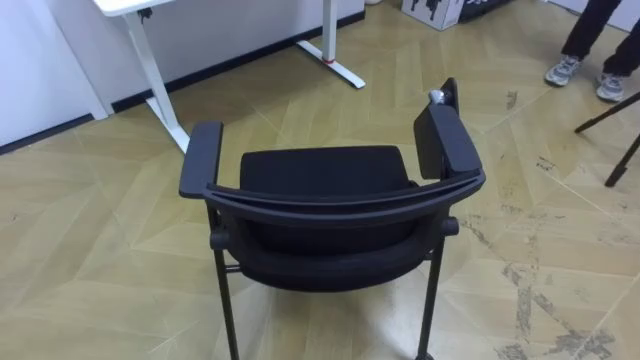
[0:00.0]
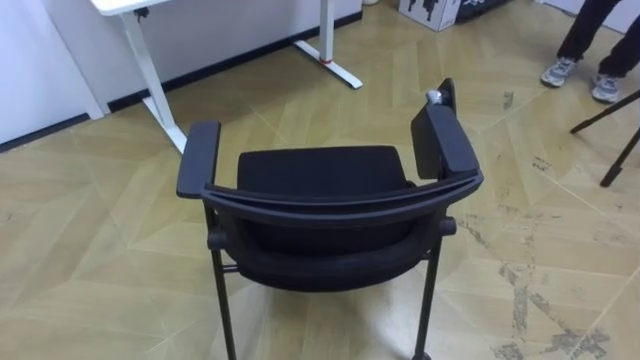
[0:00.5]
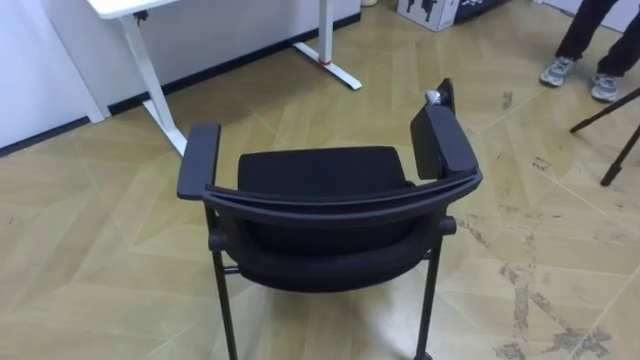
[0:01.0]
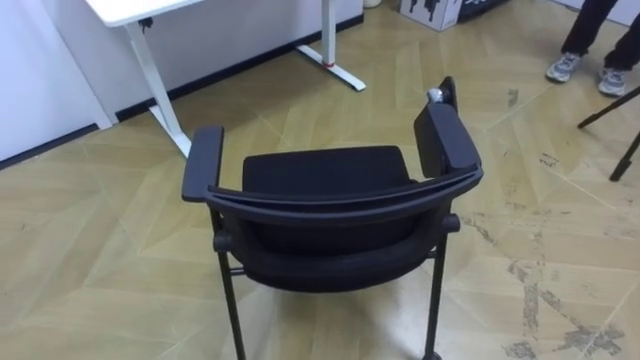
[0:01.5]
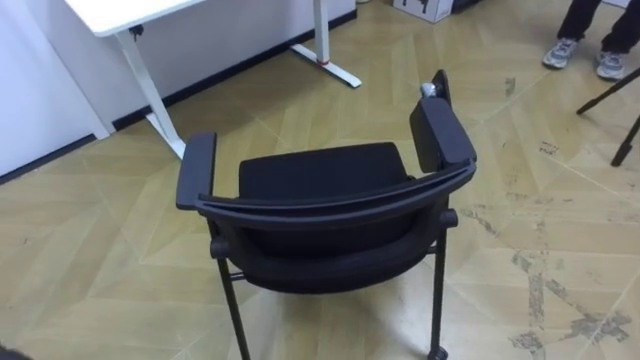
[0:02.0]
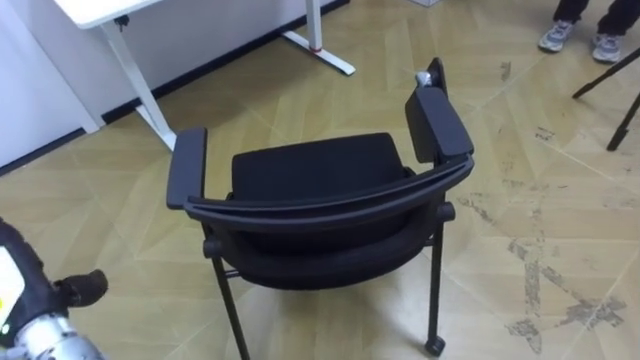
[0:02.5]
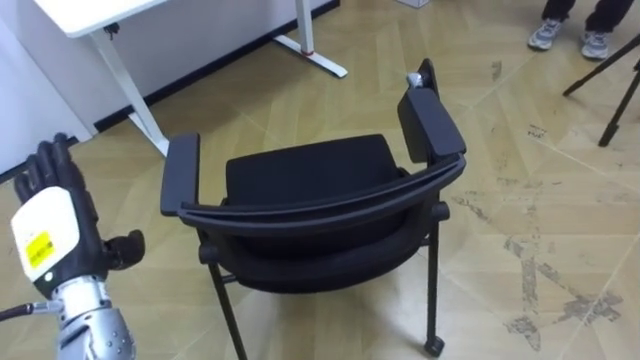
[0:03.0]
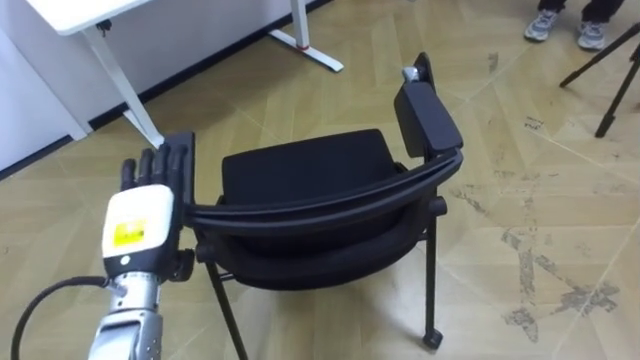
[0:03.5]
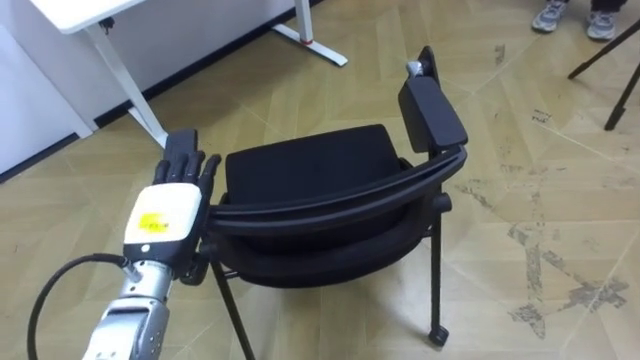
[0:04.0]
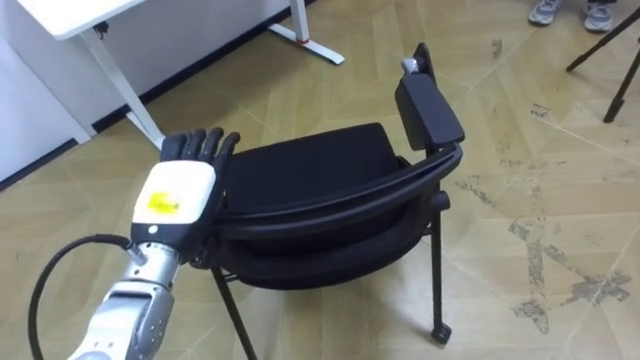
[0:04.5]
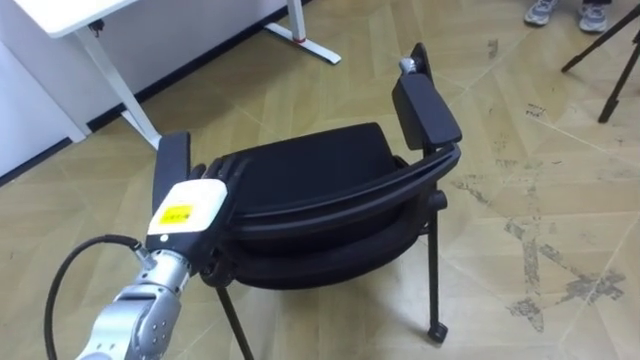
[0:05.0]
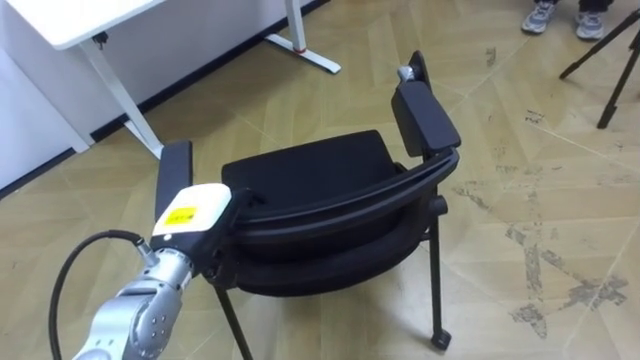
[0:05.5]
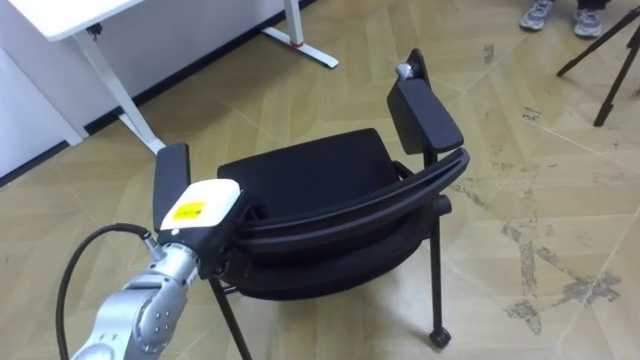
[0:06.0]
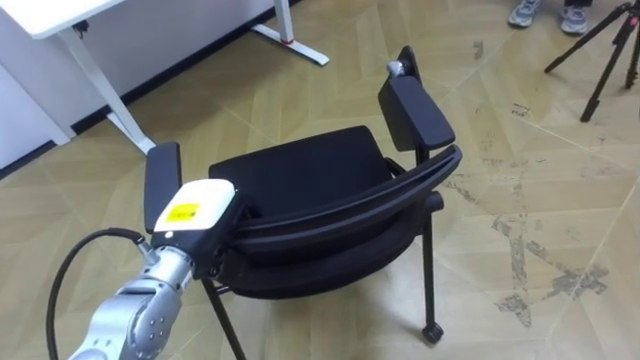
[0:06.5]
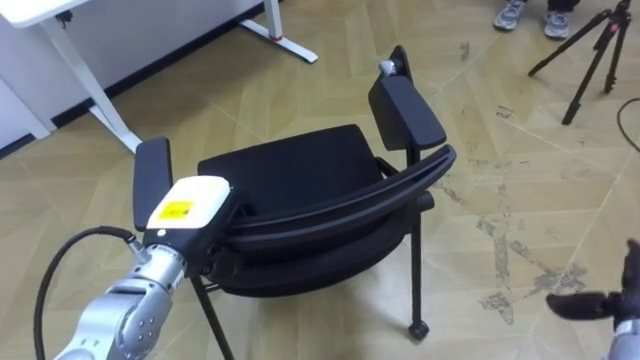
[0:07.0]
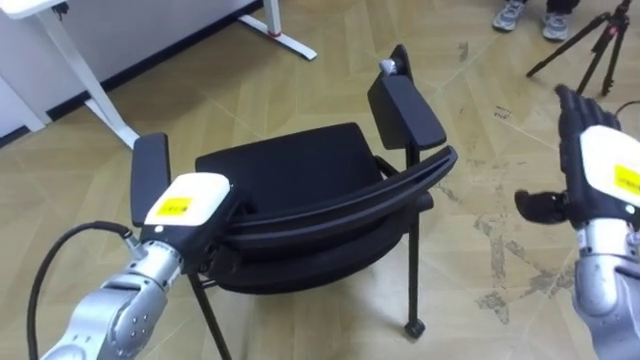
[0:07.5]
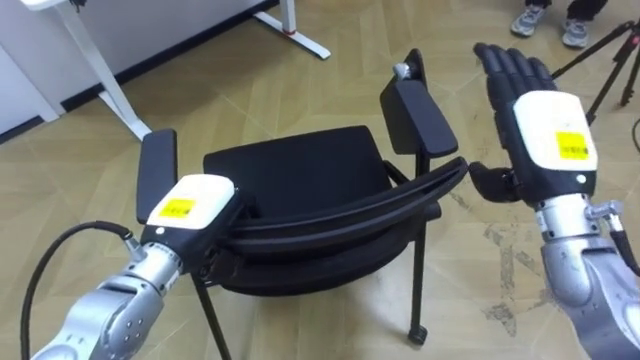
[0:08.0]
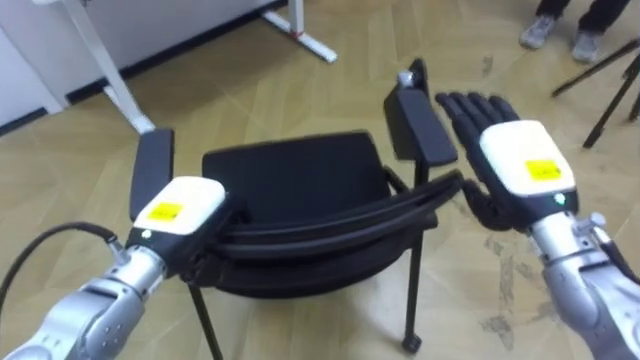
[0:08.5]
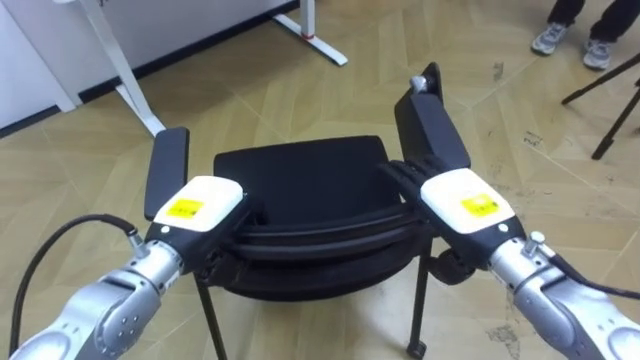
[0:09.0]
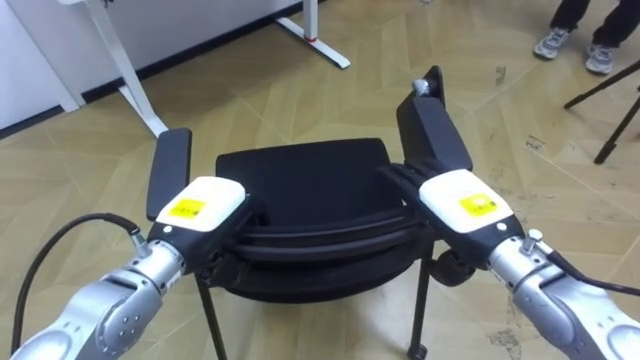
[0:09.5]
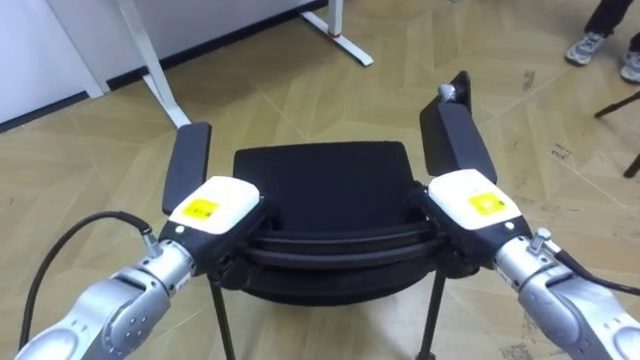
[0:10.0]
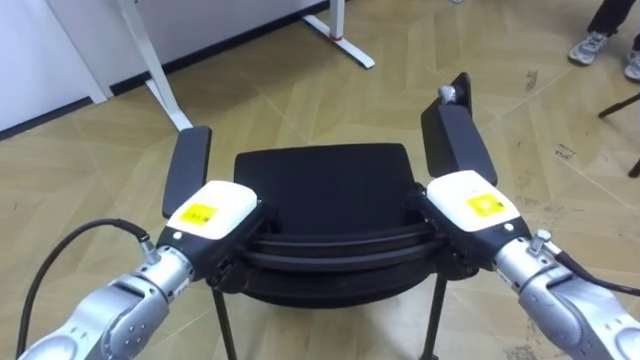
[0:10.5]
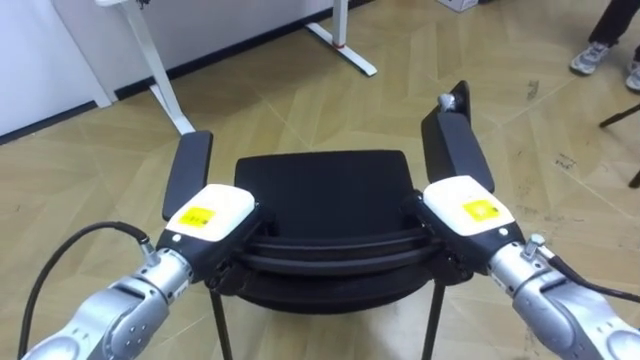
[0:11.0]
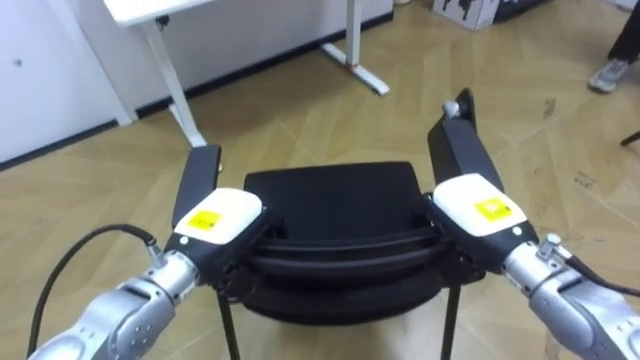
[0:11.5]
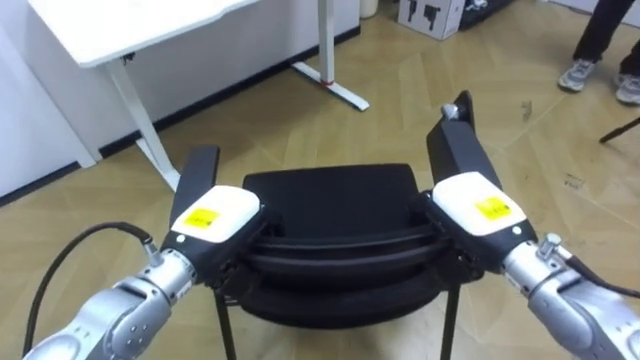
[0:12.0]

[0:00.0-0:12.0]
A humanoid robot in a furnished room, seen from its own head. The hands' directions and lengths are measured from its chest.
Task of the whole recording: Push the chair under the table.
0:04.0 to 0:06.0: The left hand closes.
0:08.0 to 0:10.0: The right hand is displaced downward and to the left by roughly 10 cm, and closes its fingers.

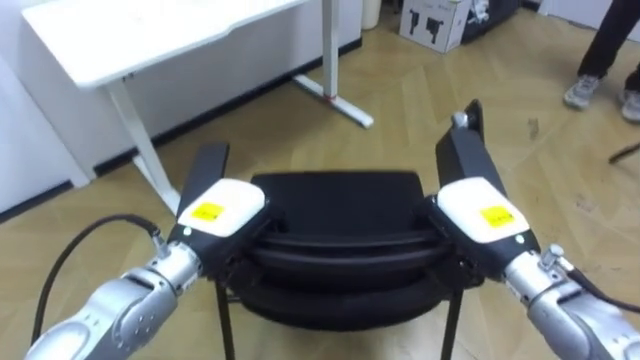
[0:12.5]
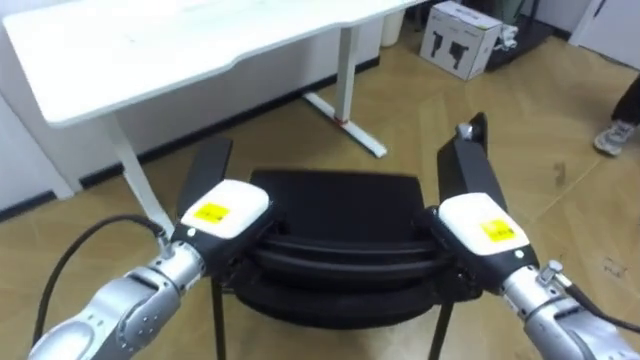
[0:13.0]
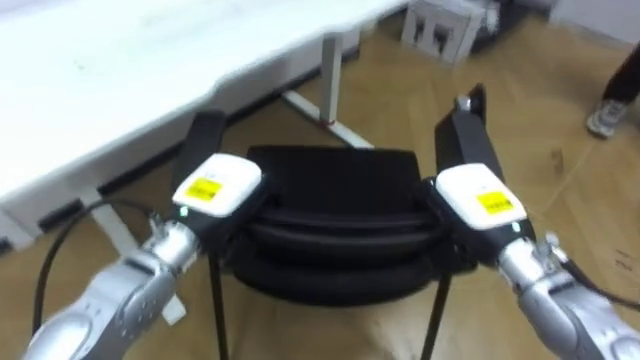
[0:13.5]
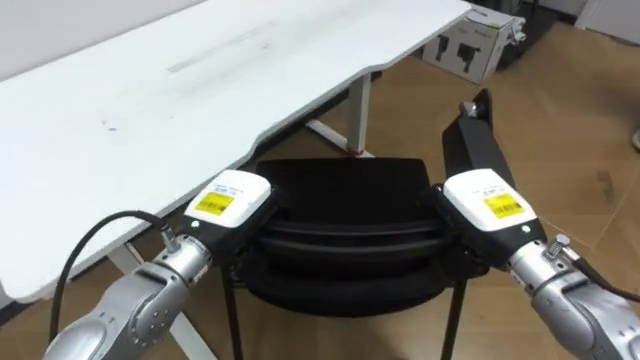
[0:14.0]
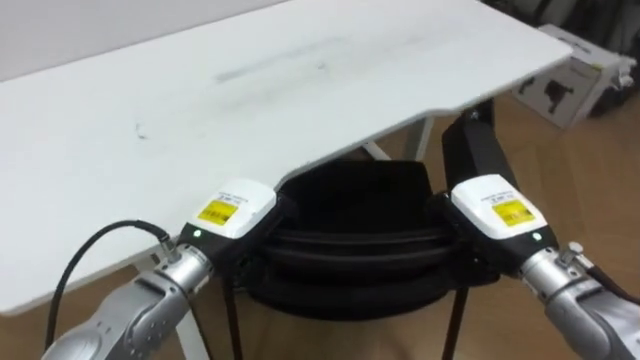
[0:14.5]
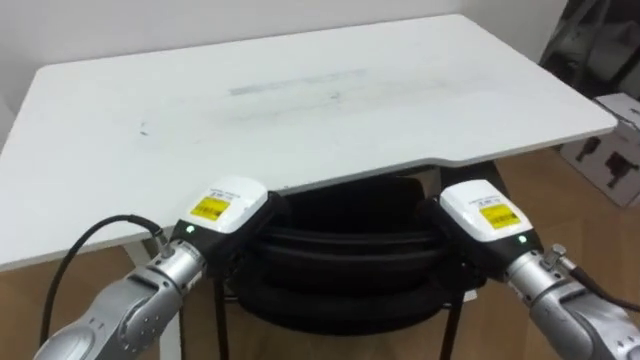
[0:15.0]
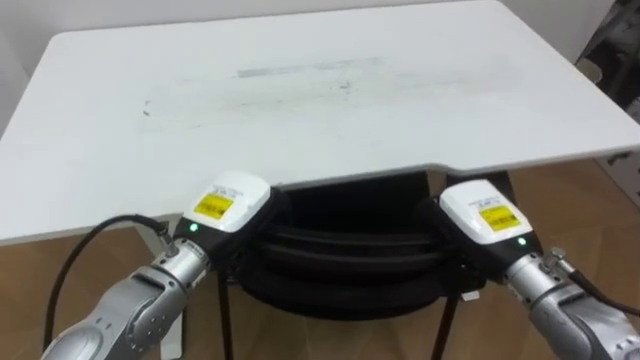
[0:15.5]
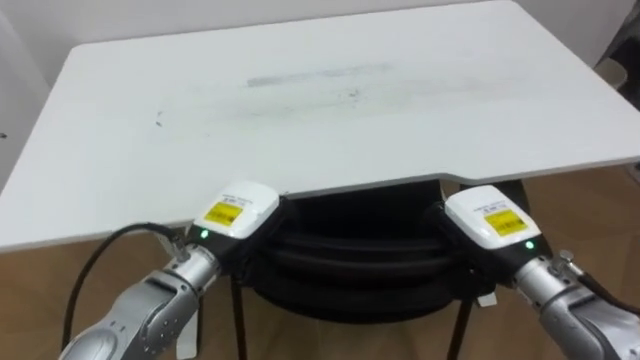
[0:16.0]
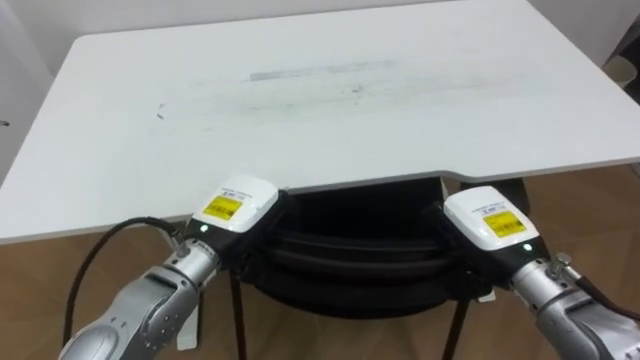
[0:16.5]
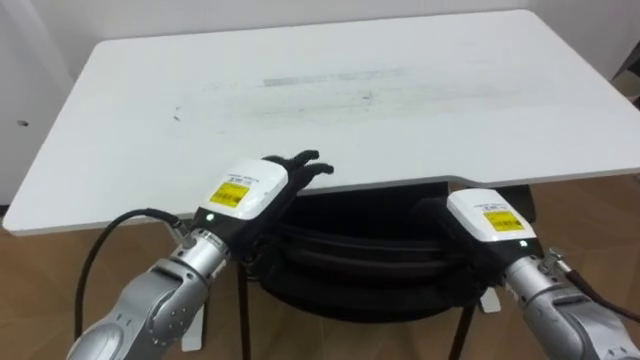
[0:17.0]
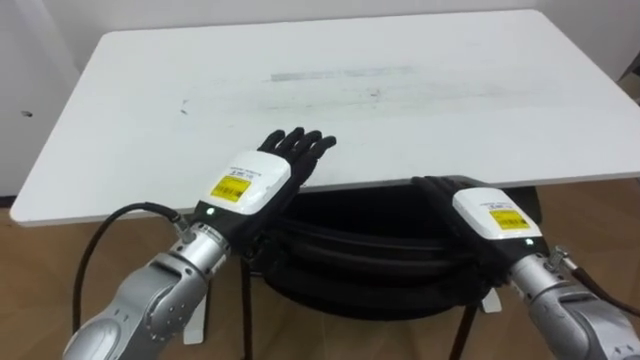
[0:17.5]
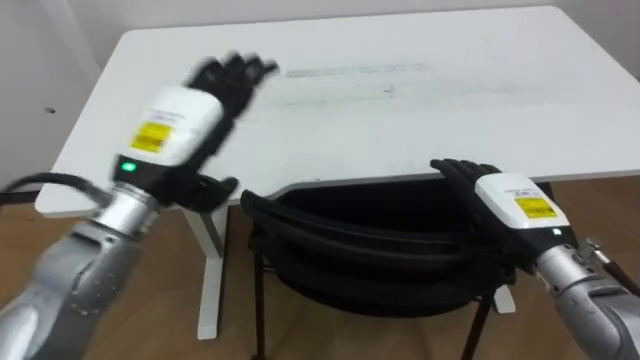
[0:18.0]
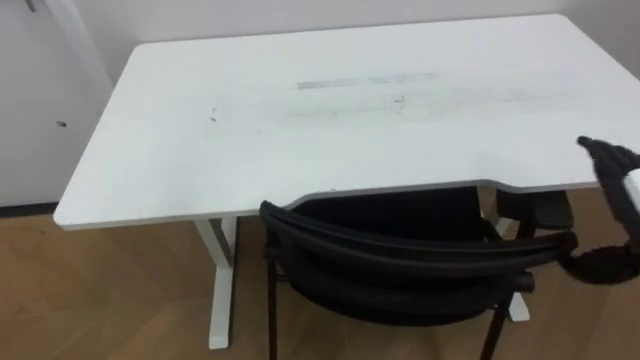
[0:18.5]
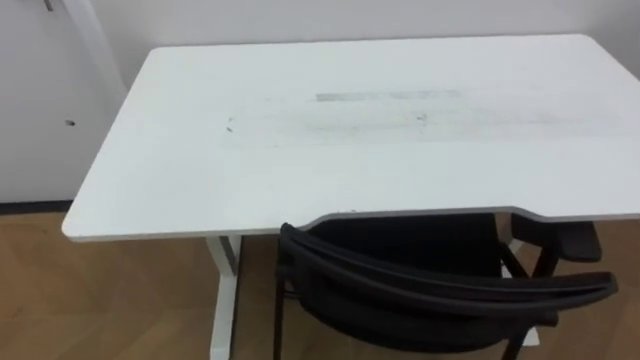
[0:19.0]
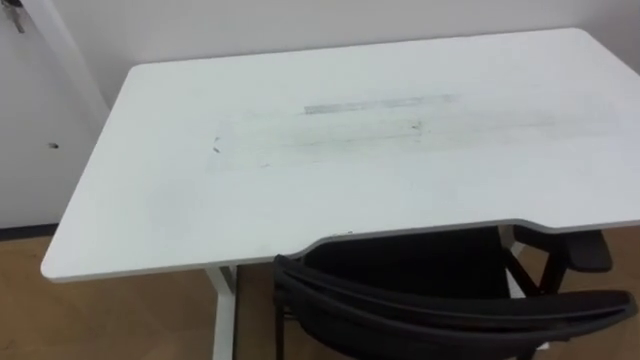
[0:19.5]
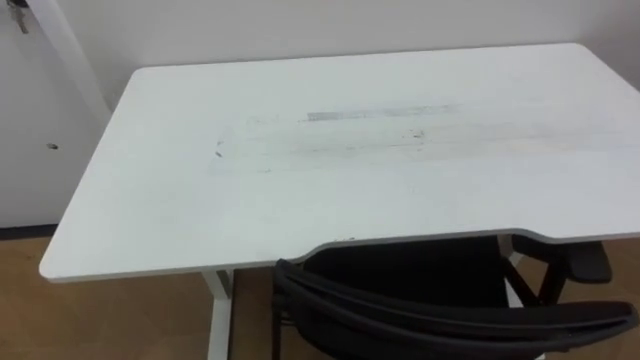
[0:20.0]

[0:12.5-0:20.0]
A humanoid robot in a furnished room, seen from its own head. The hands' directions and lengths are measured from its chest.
Task of the whole recording: Push the chair under the table.
0:14.5 to 0:16.5: The robot rotates approximately 20 degrees to its left.
0:16.5 to 0:18.0: The right hand opens its fingers. The left hand moves upward, some 10 cm, and opens up.

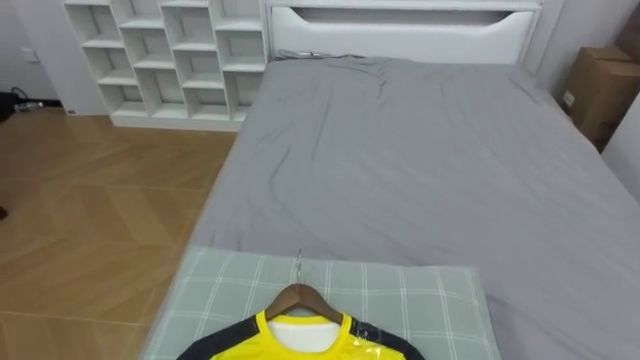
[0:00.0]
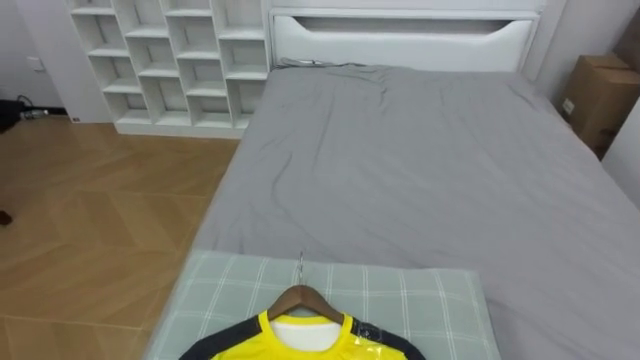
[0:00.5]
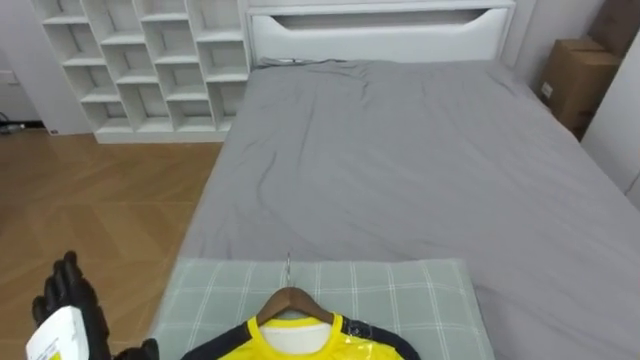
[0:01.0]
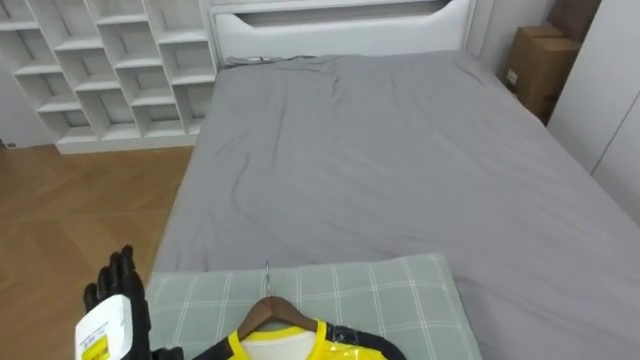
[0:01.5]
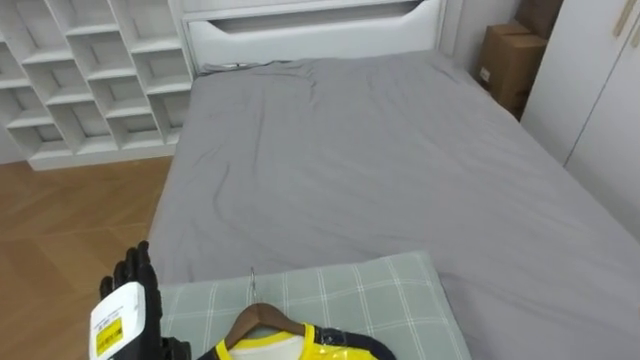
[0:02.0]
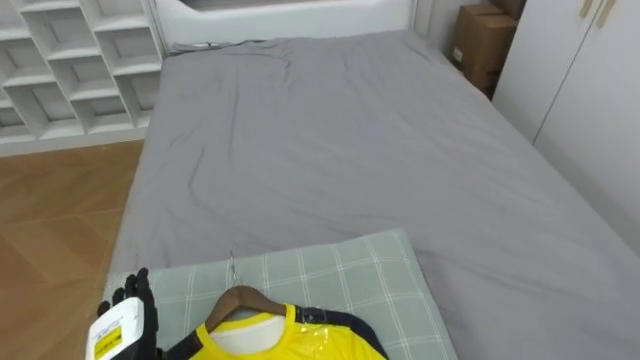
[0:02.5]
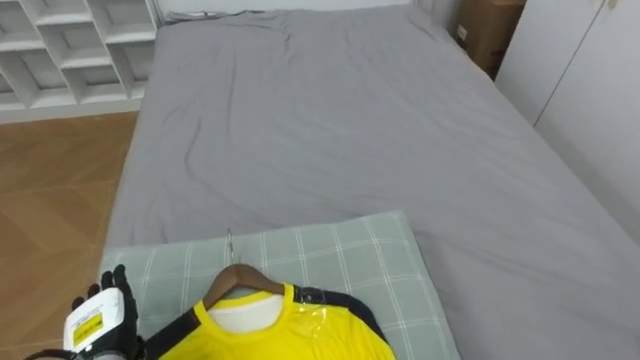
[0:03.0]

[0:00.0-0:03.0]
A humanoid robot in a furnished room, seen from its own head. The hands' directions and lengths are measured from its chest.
Task of the whole recording: Pick up the yellow shirt on the bed and hang it on the clothes rack on the right.
0:01.5 to 0:03.0: The left hand ends up about 5 cm from where it was.
